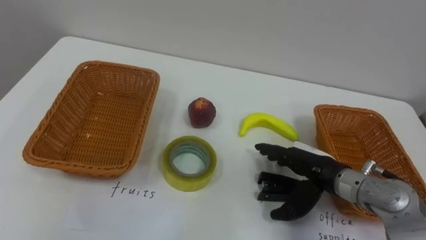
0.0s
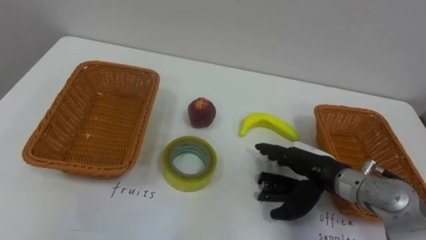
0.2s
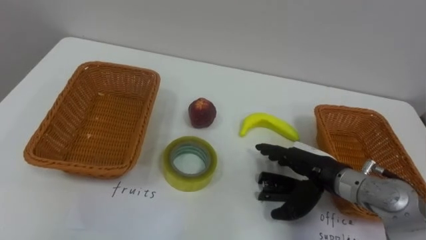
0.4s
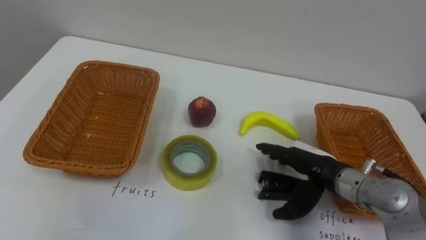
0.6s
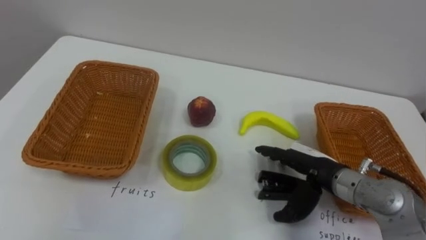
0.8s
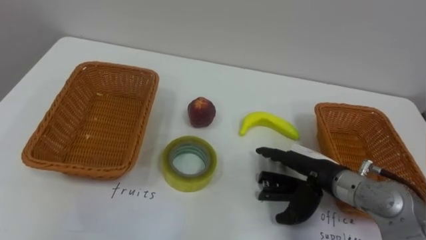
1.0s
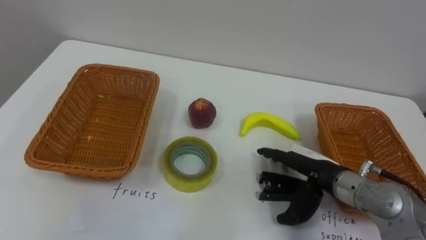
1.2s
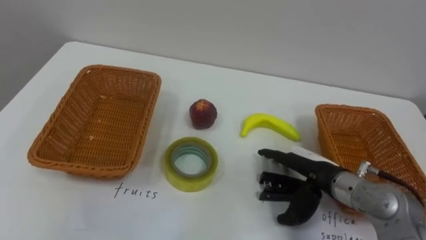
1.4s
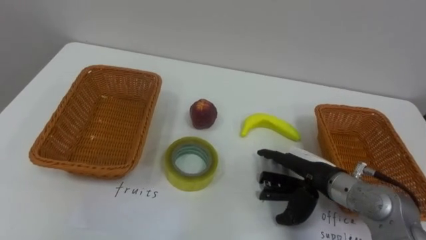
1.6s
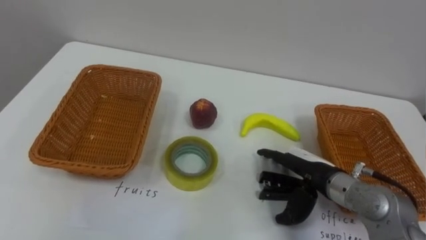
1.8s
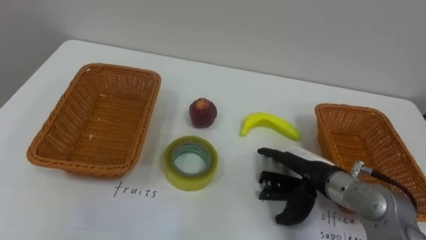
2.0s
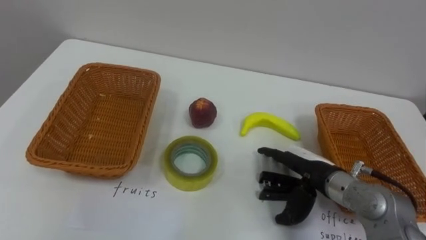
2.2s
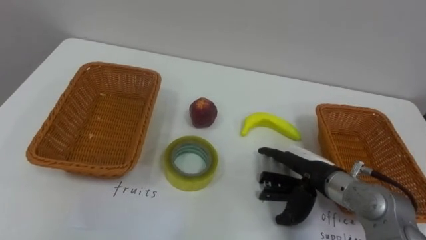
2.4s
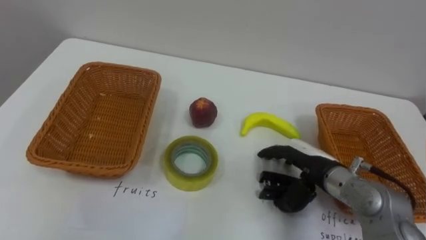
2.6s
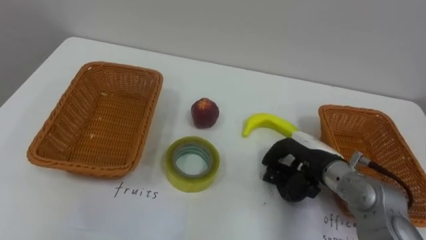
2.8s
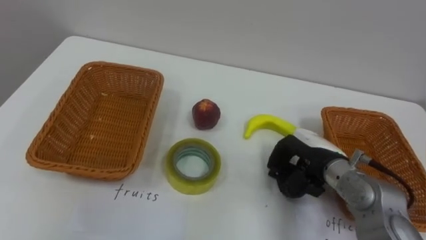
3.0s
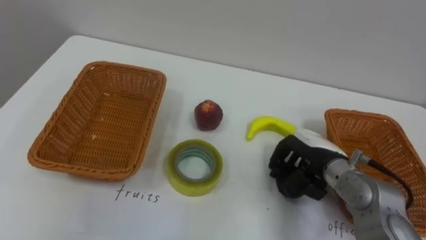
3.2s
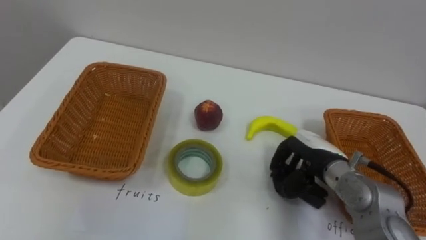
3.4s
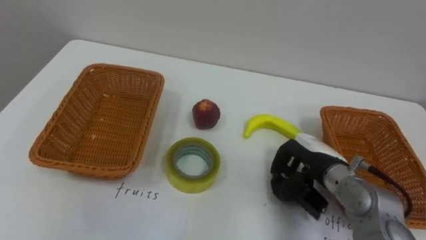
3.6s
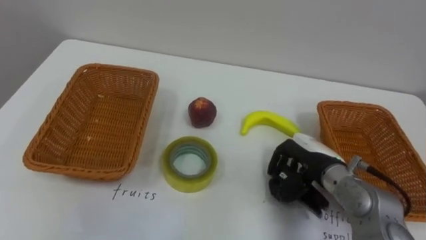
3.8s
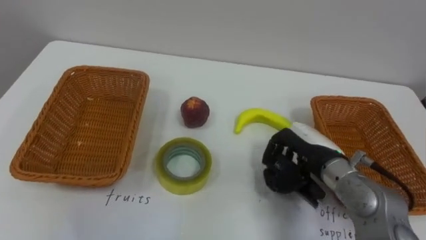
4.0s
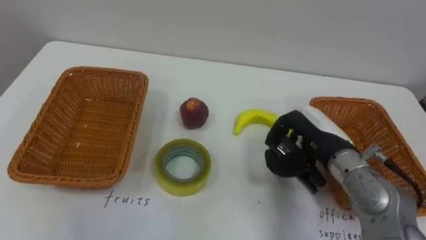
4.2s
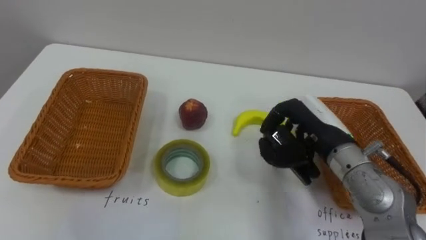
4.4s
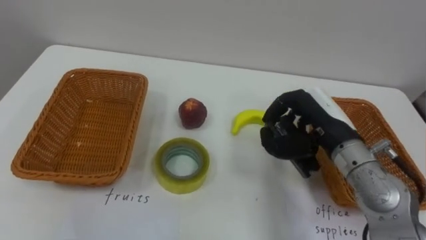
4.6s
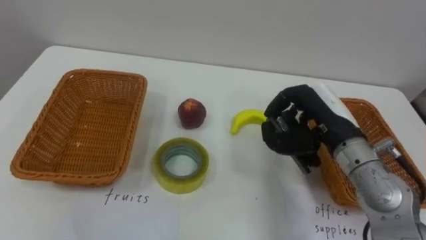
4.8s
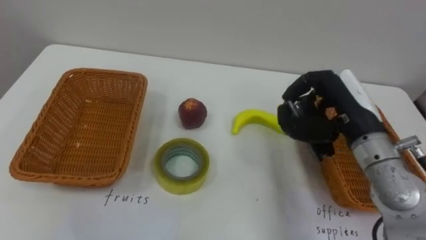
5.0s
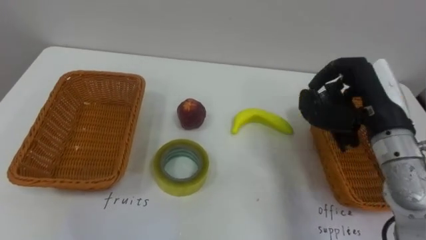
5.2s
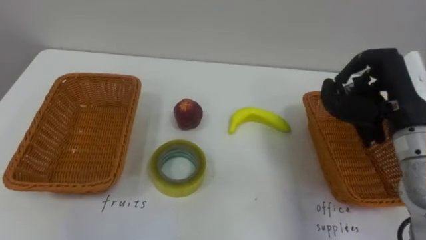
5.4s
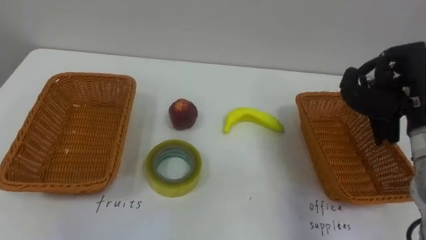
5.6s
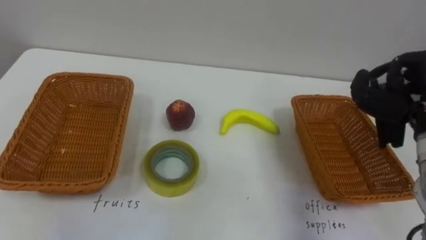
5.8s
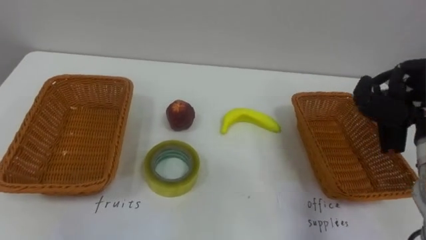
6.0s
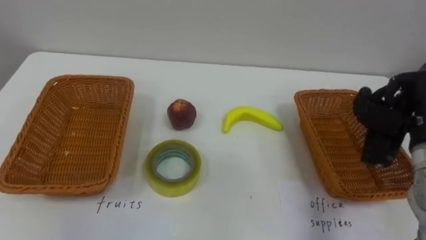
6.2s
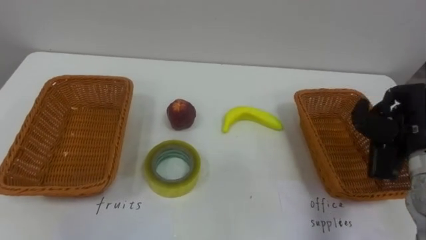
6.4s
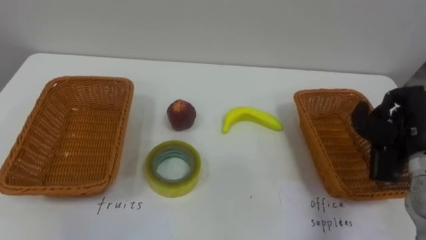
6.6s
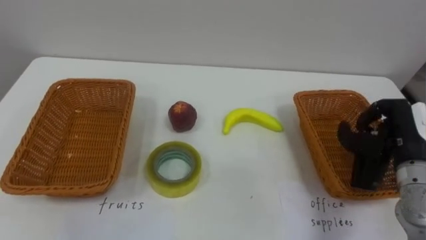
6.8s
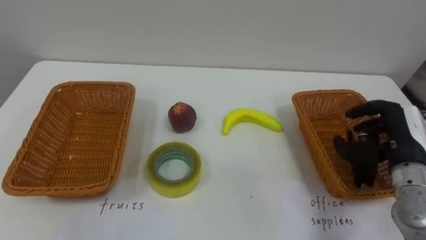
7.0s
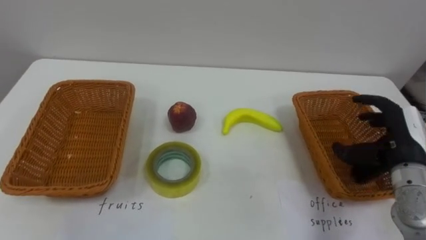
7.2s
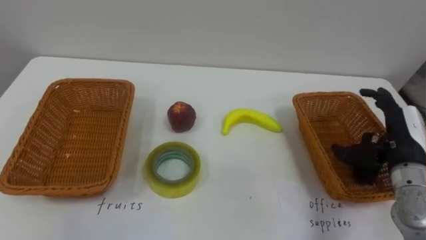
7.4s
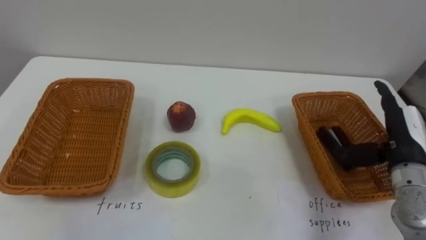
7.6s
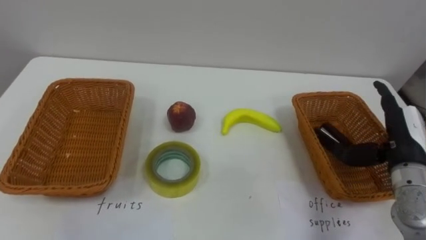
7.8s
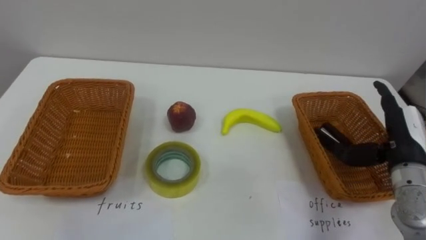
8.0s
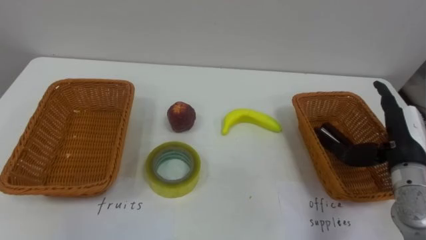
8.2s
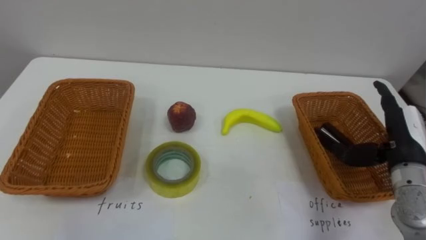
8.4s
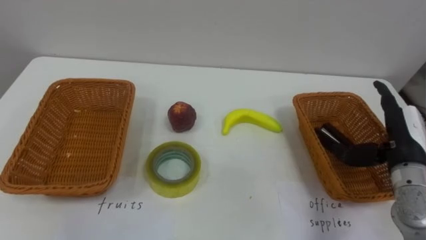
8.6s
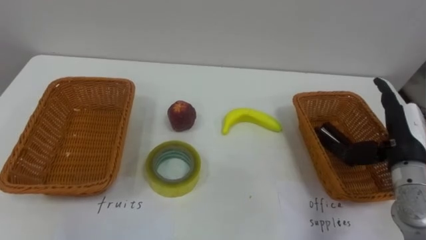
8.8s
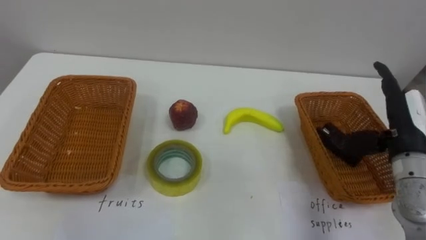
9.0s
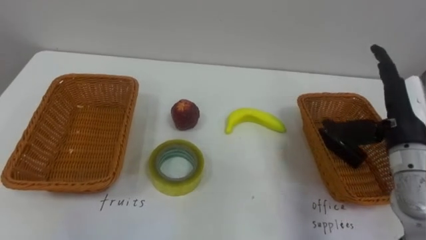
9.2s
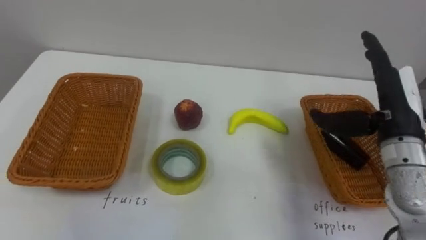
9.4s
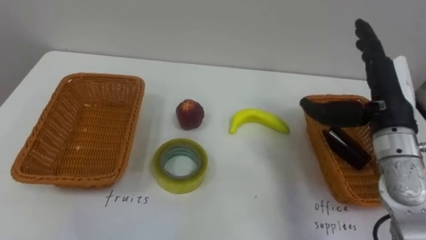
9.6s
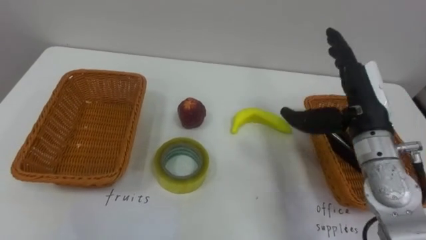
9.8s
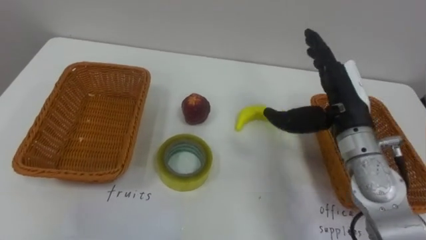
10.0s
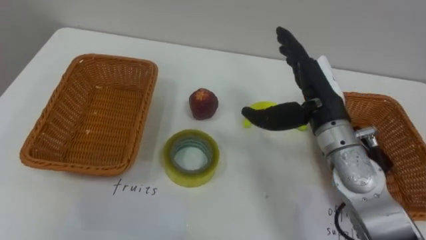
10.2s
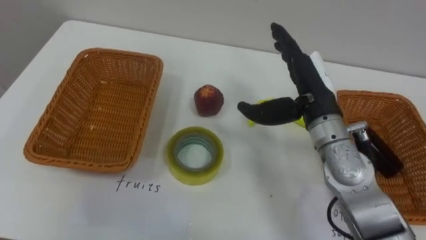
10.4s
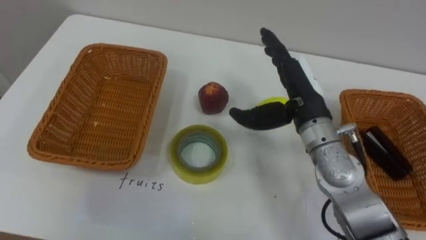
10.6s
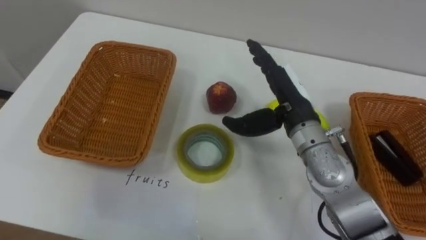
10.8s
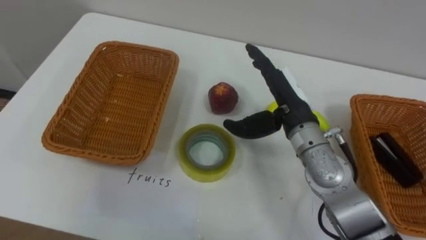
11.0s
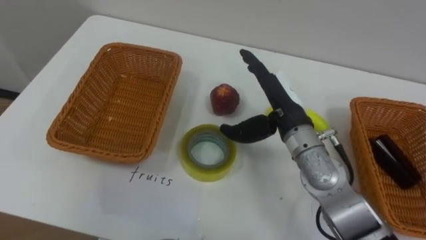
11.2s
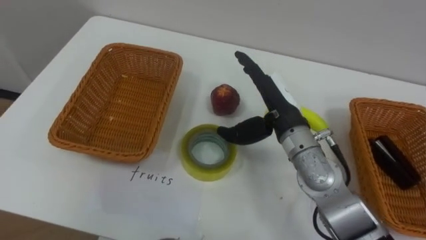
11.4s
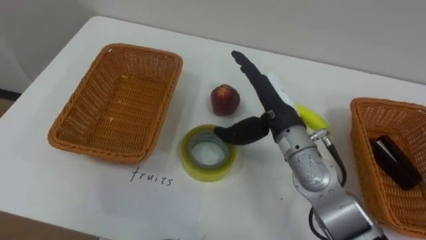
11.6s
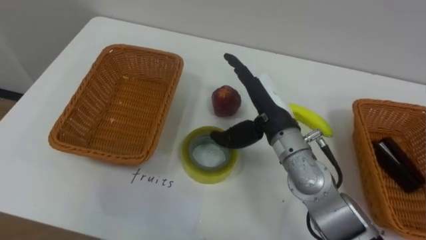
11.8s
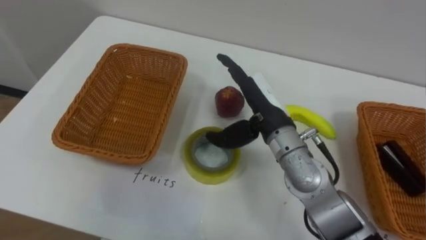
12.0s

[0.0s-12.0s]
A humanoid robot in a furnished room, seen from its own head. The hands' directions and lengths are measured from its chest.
Task of the whole recording: Separate the items on the table and place them into the two baskets.
1.6s to 3.0s: The right hand closes up.
3.0s to 4.4s: The right hand travels upward by roughly 10 cm.
9.0s to 10.4s: The right hand travels to the left by some 15 cm.
10.4s to 12.0s: The right hand heads to the left, covering roughly 5 cm.

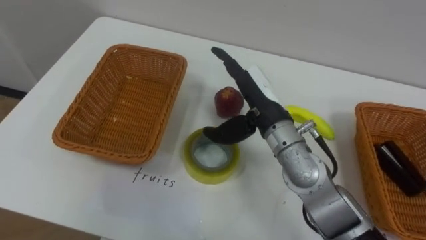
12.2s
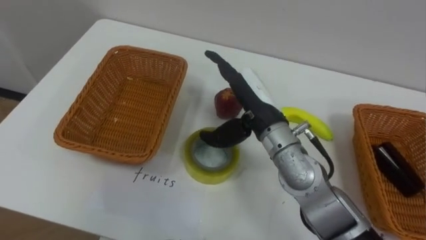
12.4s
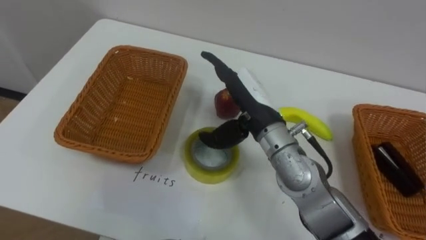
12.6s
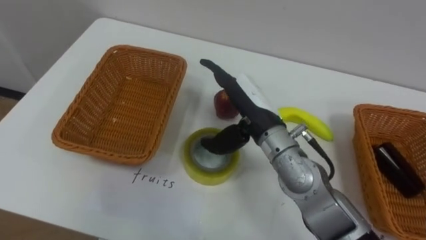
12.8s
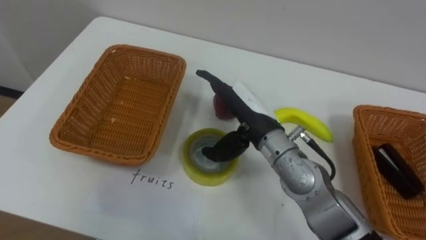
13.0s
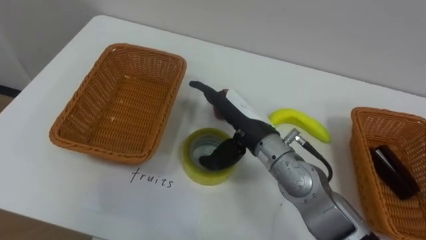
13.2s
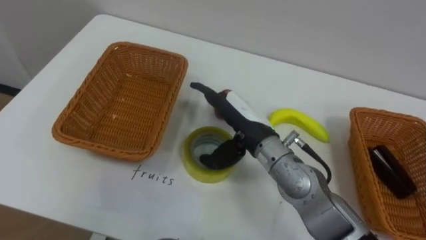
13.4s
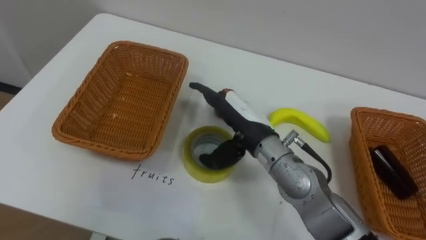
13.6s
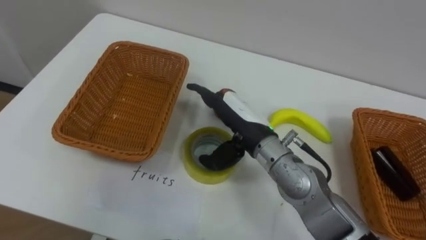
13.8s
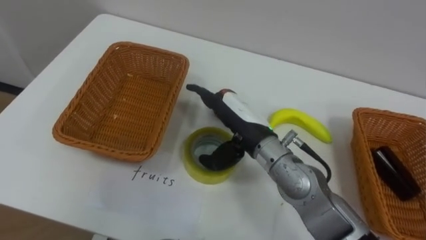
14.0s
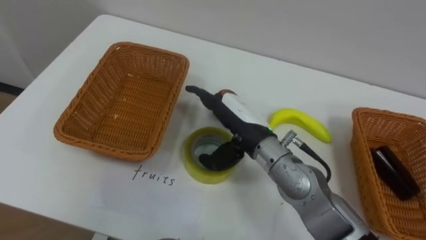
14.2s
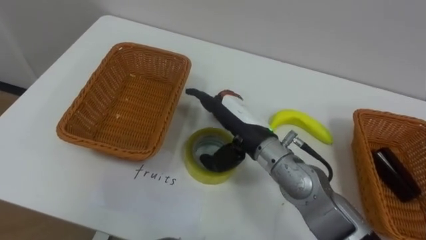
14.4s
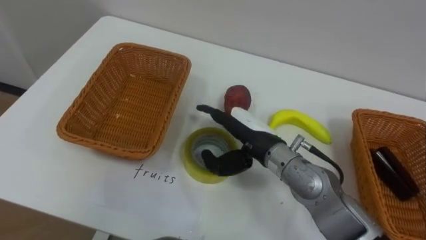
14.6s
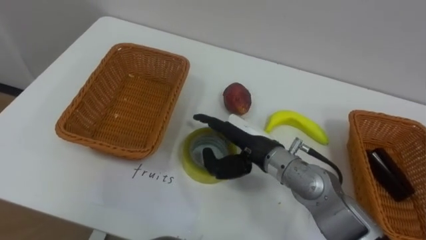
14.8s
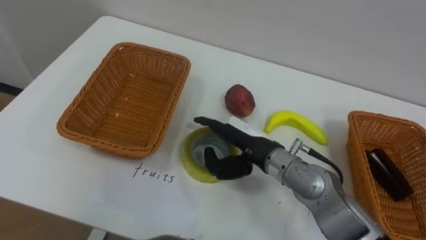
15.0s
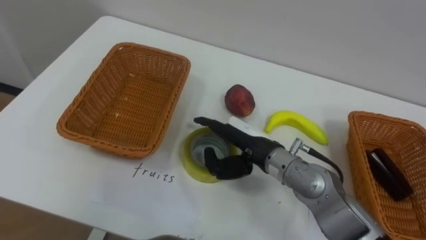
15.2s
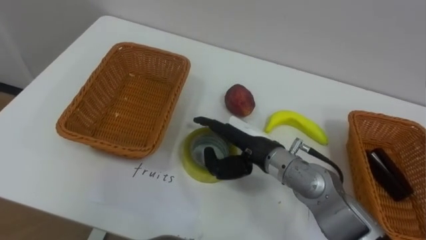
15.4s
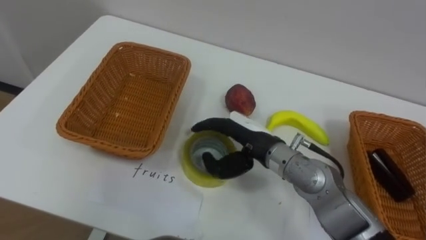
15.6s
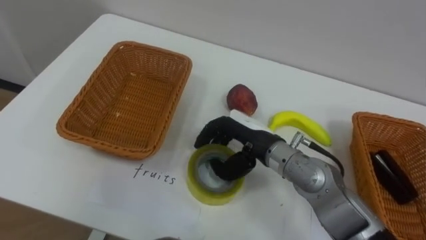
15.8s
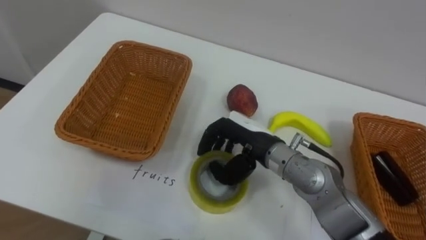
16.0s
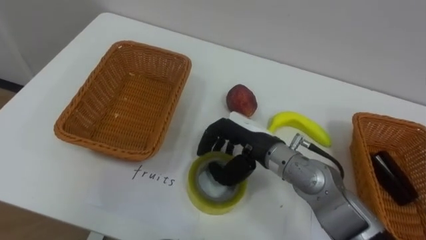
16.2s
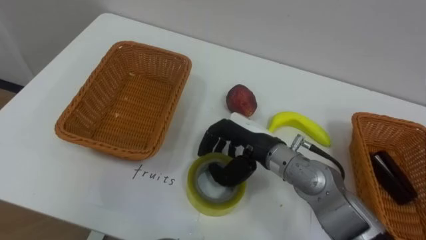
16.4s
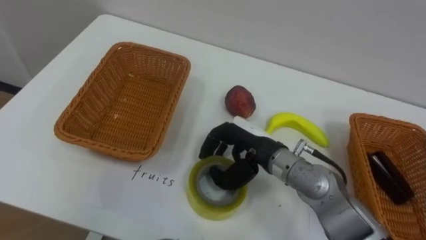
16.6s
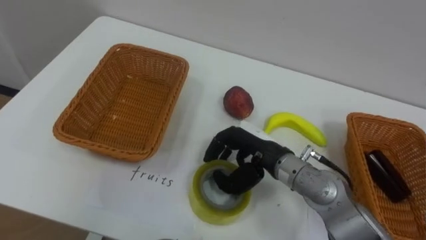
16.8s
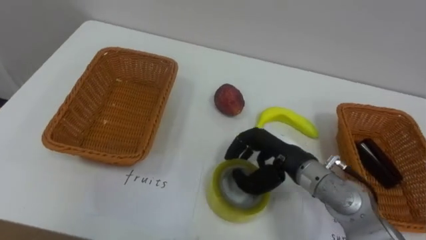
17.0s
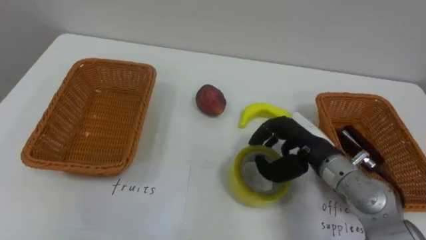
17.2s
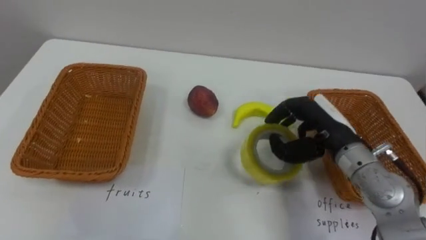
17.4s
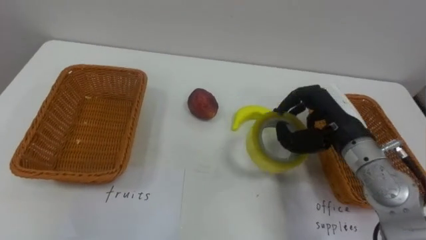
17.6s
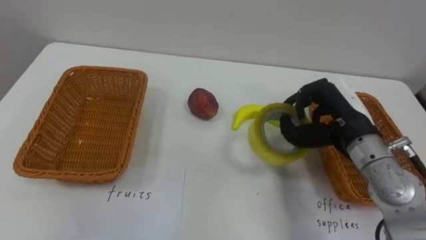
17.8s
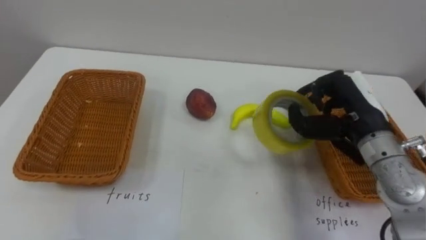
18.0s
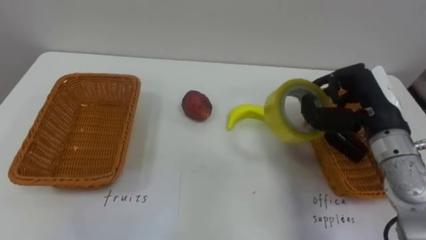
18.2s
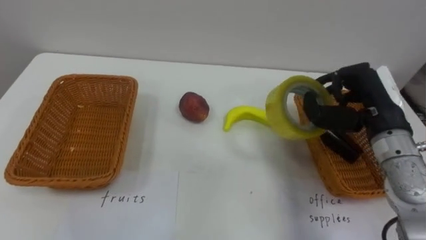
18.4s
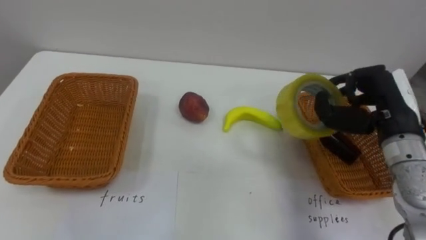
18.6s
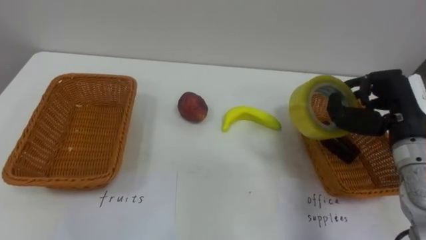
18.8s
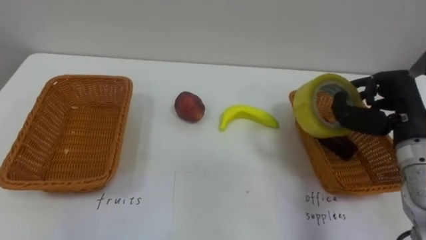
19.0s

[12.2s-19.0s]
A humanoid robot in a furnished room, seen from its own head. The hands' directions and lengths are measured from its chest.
Task of the whole recording: Separate the items on the table and place them into the two baskets.
15.0s to 16.2s: The right hand closes up.
16.2s to 17.6s: The right hand shifts approximately 15 cm to the right.
17.6s to 19.0s: The right hand moves to the right, roughly 10 cm.
